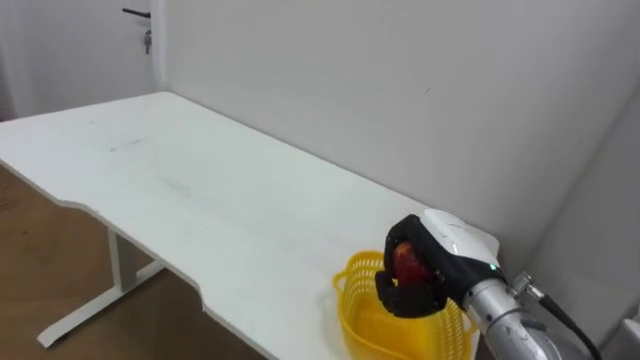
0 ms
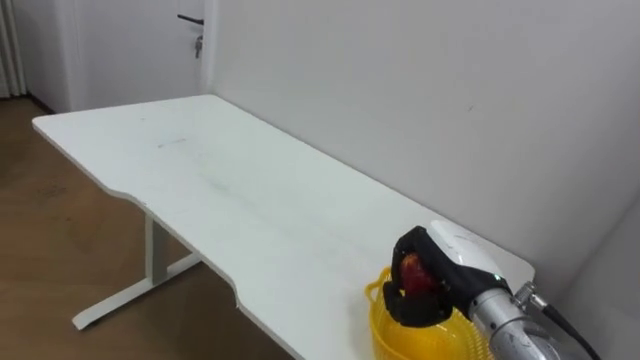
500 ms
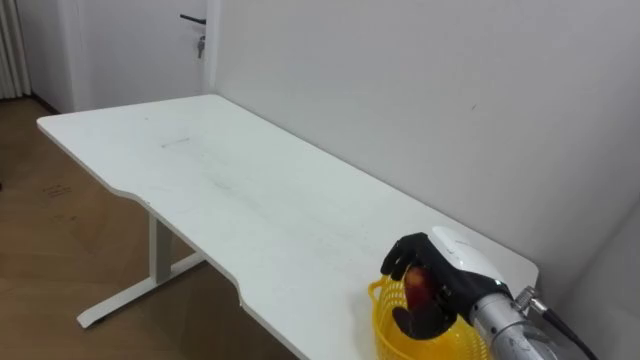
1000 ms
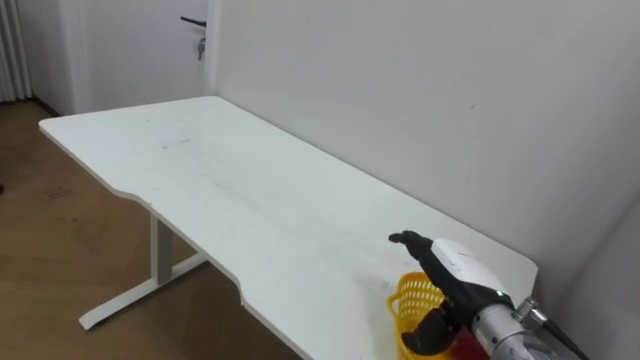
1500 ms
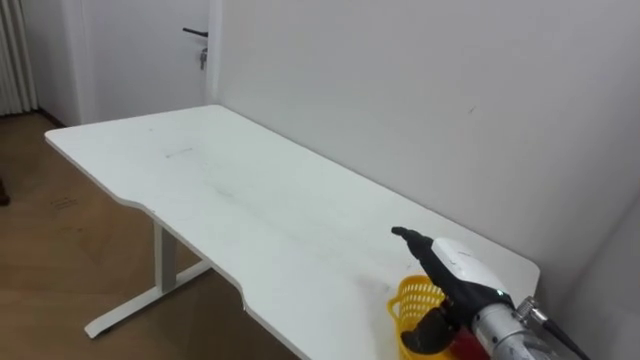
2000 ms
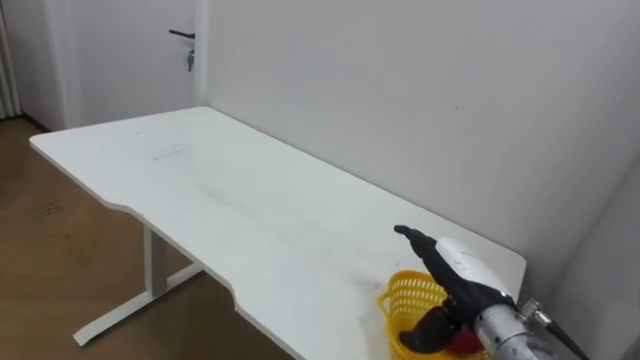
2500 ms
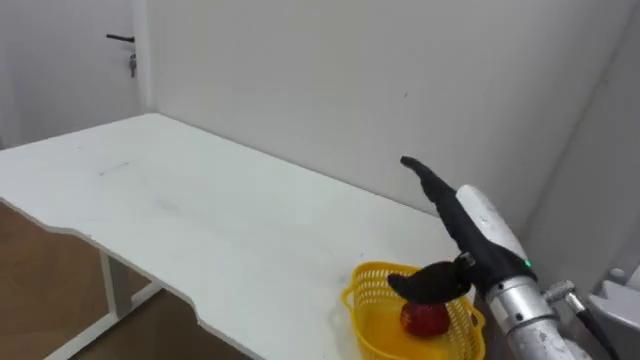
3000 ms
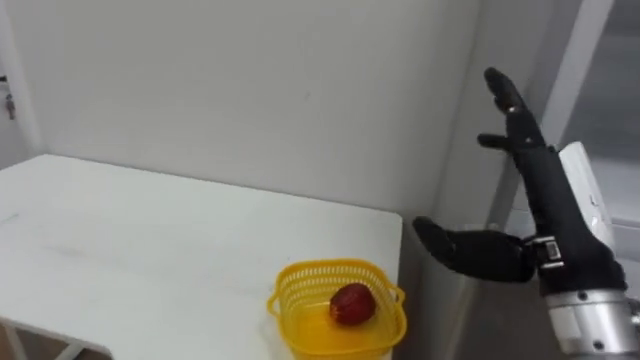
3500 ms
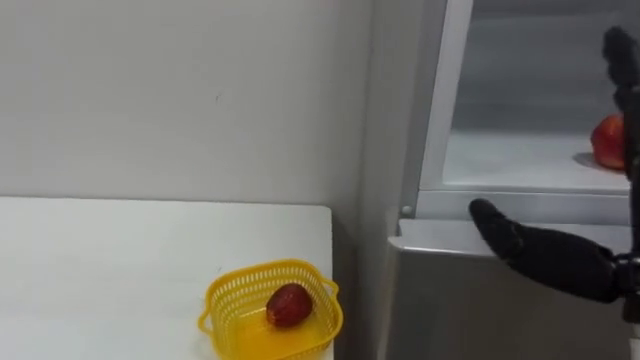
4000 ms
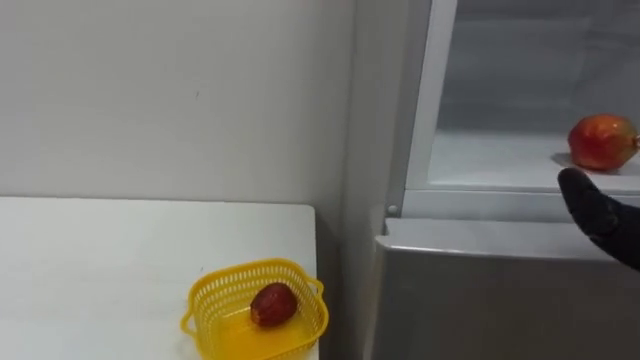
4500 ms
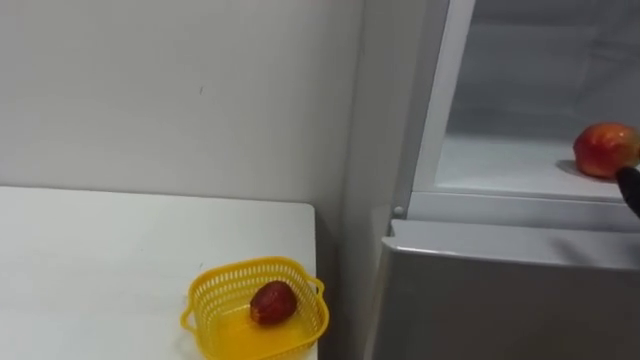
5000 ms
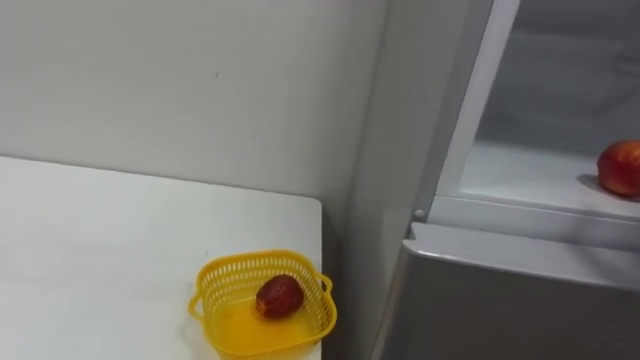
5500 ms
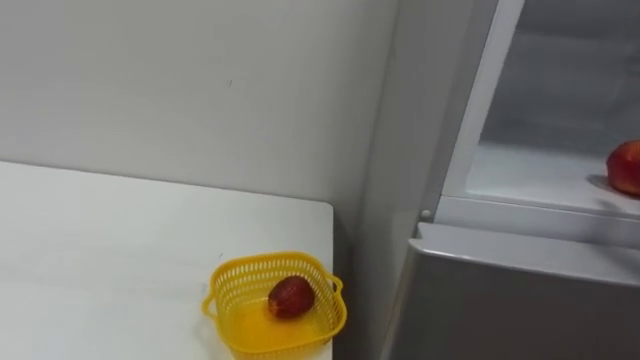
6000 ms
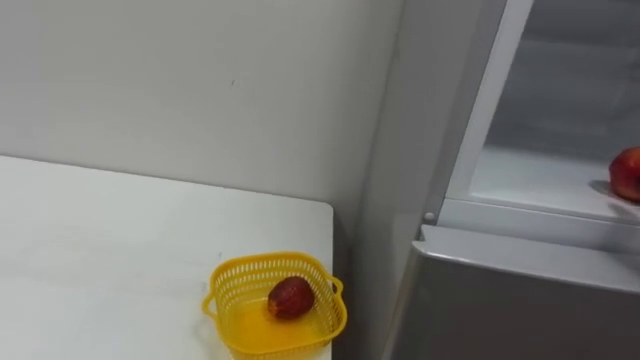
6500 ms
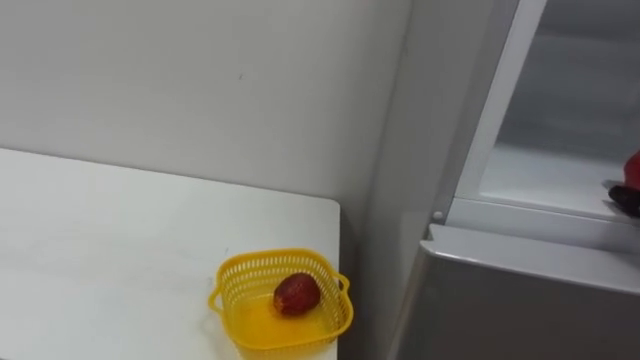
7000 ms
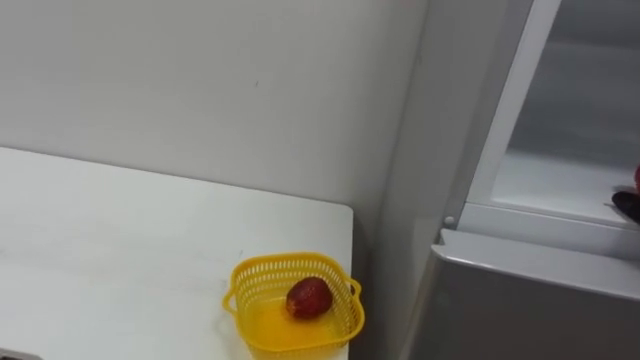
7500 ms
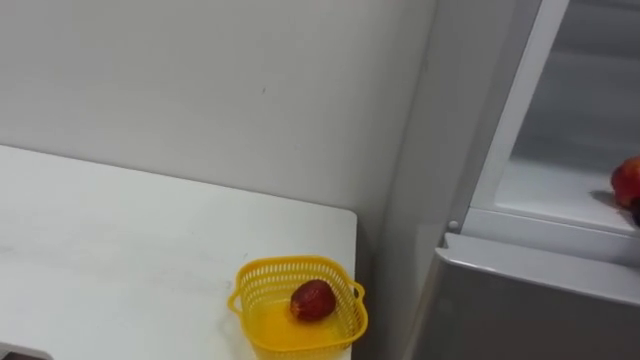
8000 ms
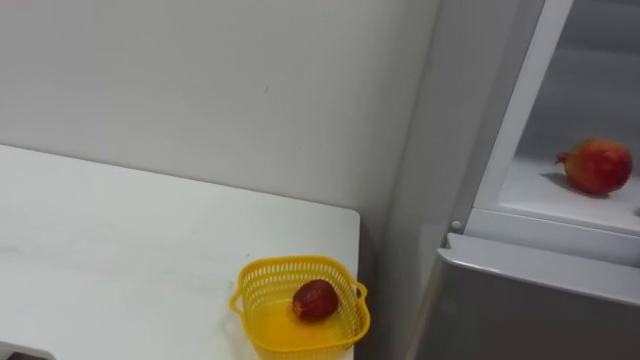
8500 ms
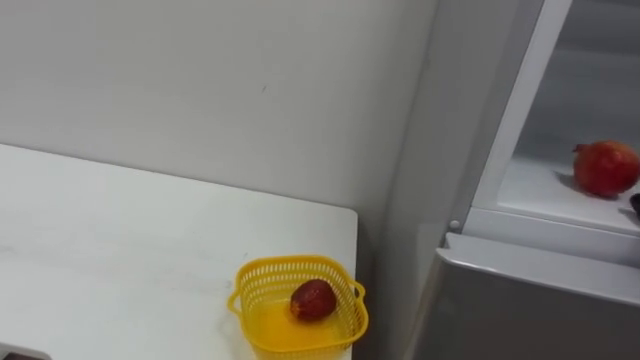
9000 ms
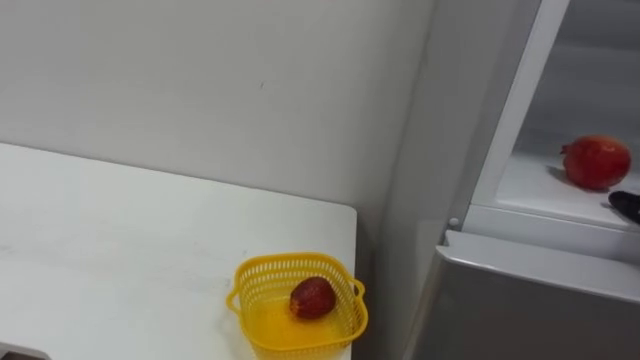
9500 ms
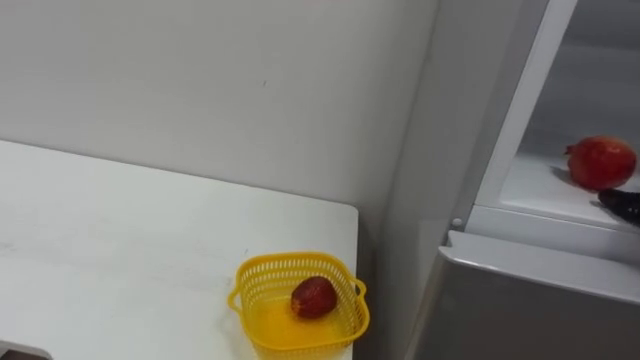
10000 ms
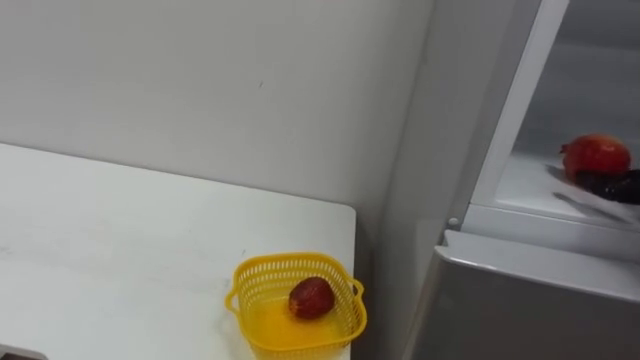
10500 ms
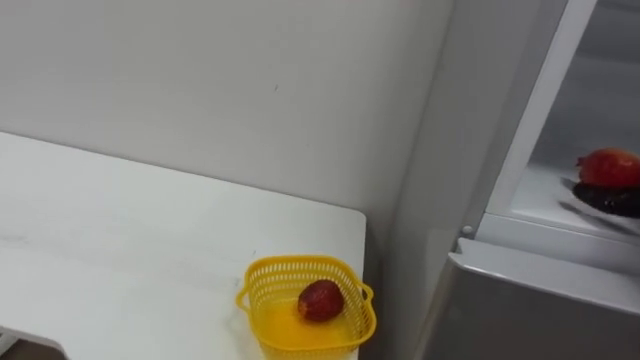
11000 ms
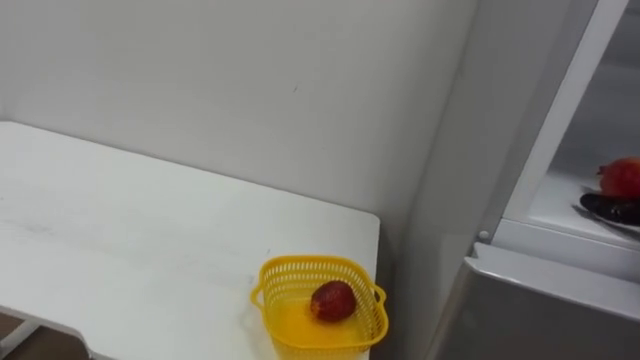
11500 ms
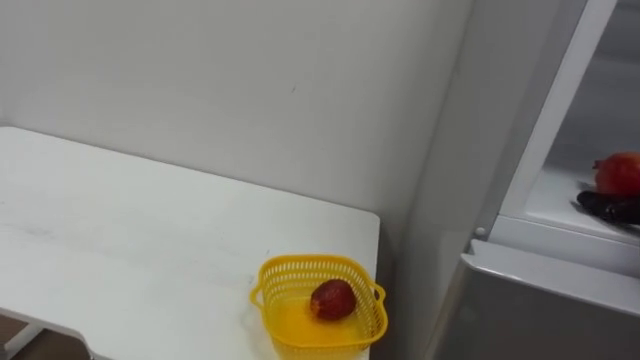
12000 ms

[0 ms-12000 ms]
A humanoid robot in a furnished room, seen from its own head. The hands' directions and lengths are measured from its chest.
Task of the whole recording: Open the refrigerator door, take out the apple and the pomegranate, place them in the fruit basket on the left, and close the refrigerator door.
0 ms to 2000 ms: The right hand opens.
2000 ms to 4000 ms: The right hand goes about 25 cm upward and backward.

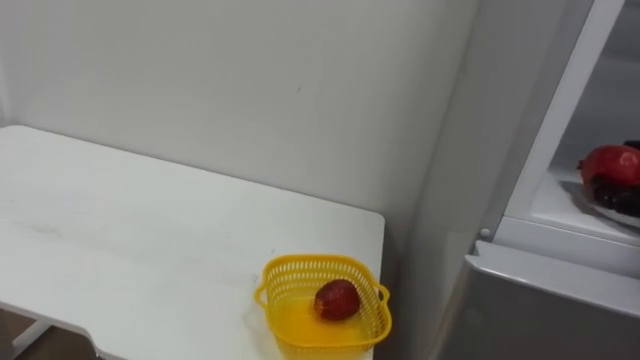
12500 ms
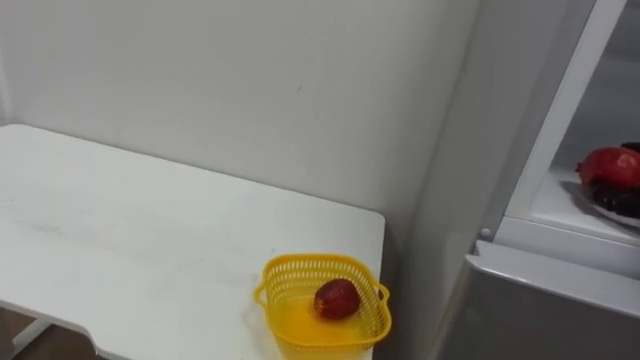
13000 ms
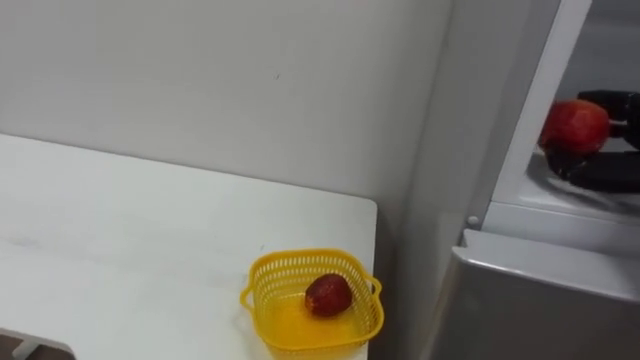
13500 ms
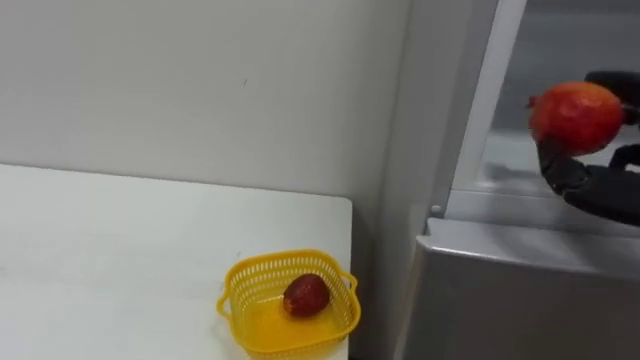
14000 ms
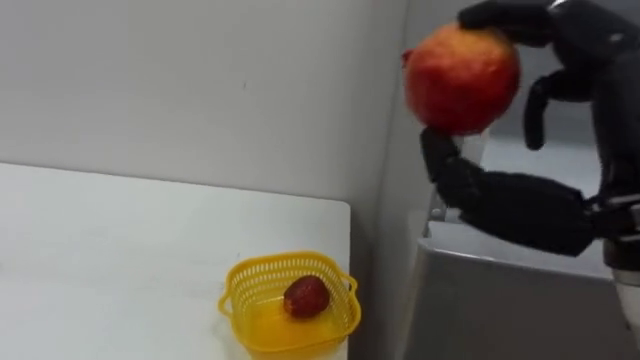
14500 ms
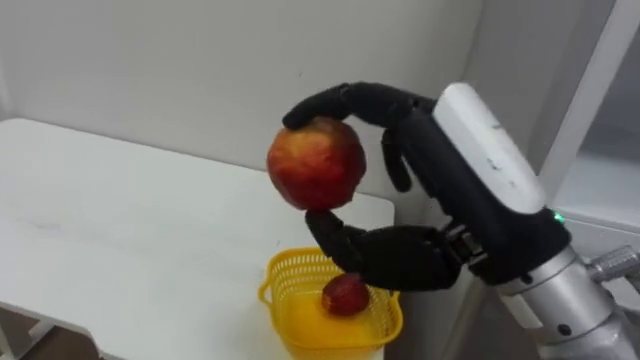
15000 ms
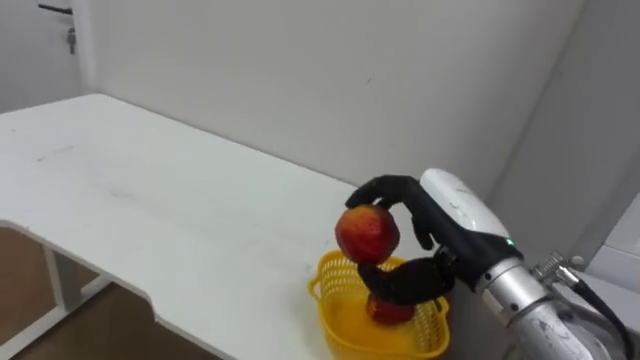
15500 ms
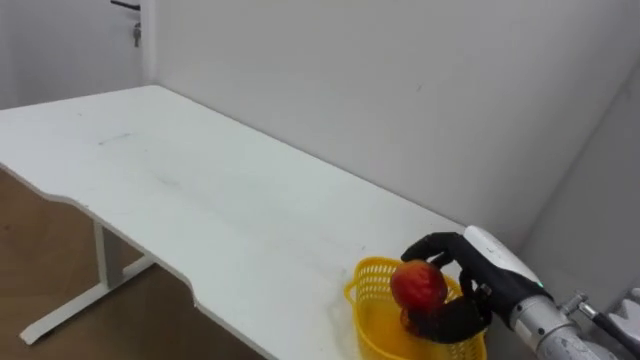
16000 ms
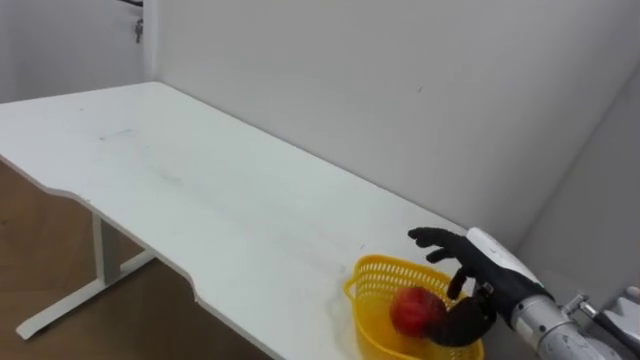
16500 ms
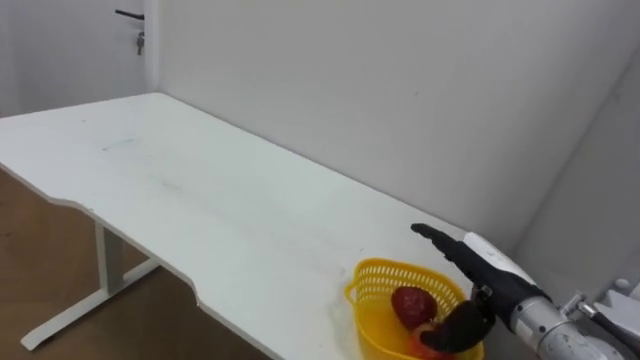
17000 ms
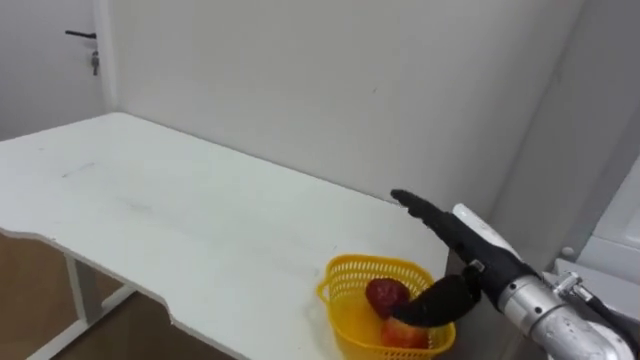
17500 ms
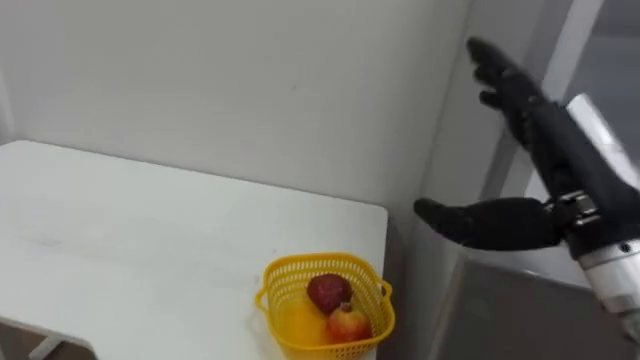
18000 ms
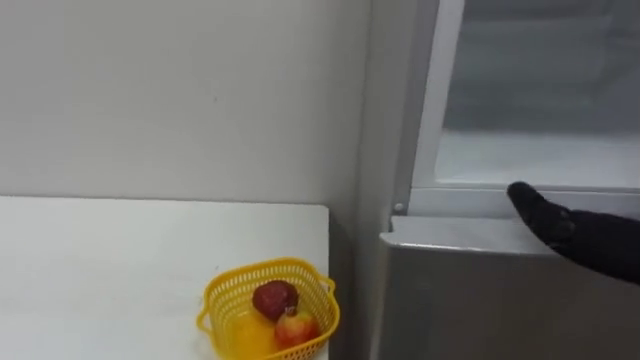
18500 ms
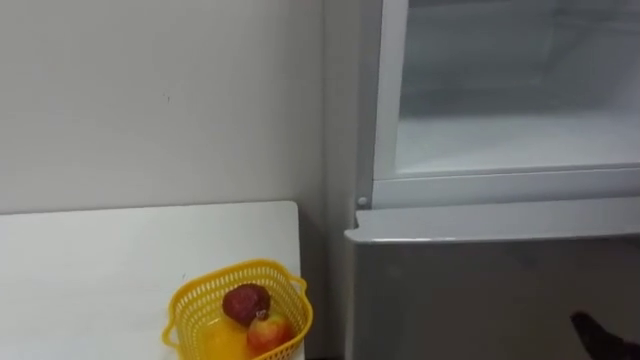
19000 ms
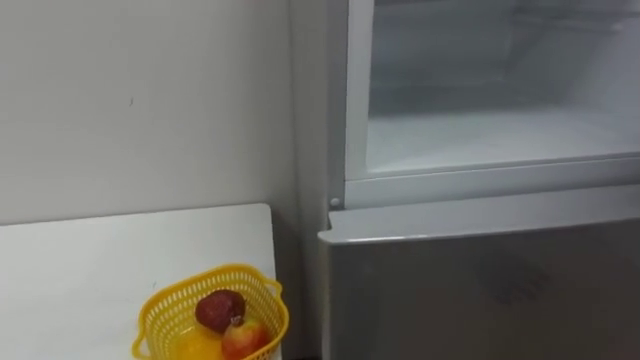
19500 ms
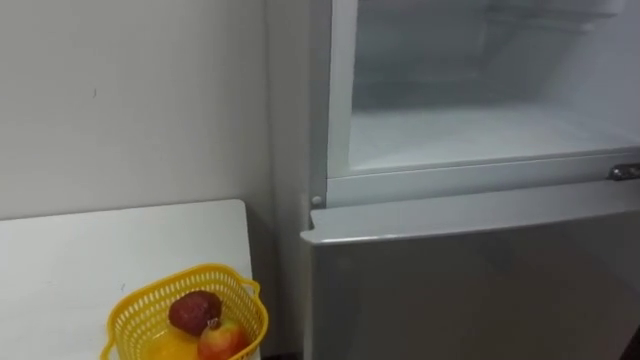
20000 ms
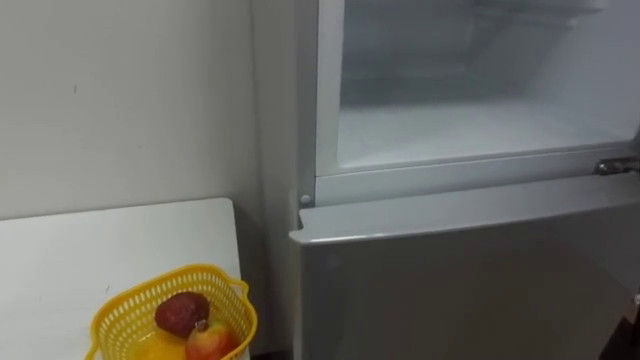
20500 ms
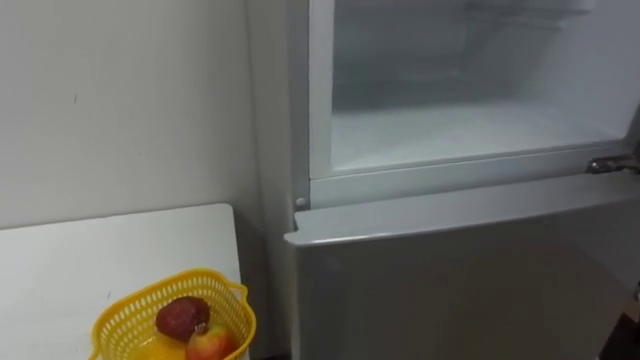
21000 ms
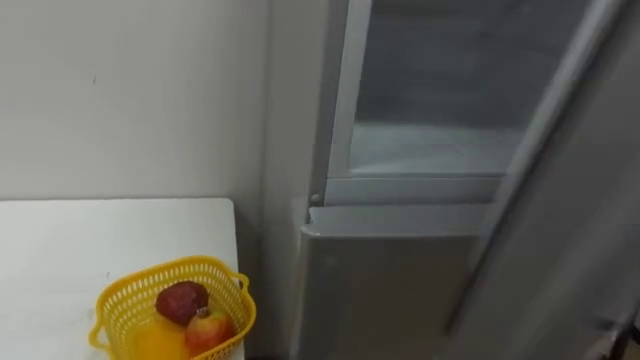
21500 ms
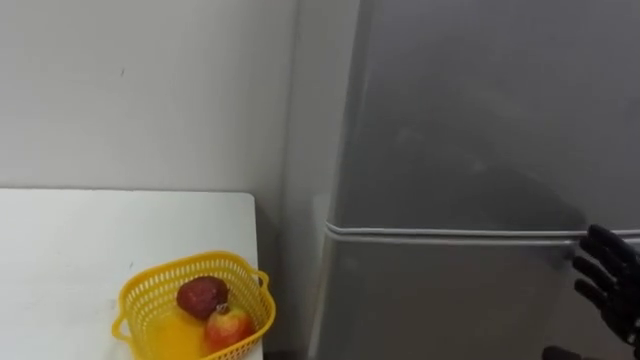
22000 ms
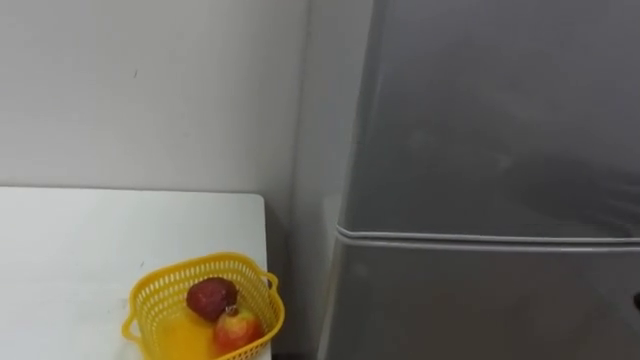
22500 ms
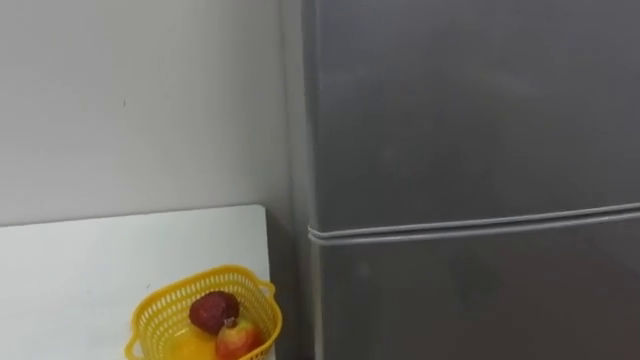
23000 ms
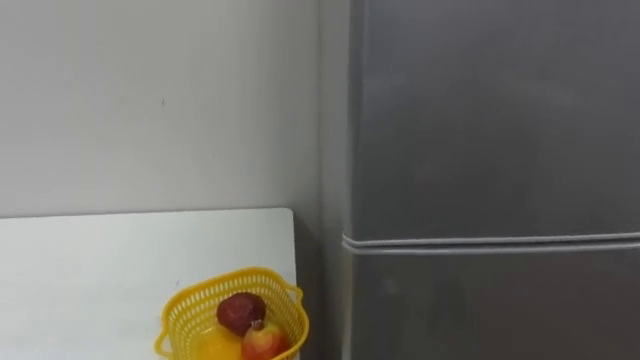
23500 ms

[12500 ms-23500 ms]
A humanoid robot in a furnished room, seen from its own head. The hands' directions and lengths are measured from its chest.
Task of the whole recording: Open the refrigerator door, take out the apple and the pomegranate, place them in the fruit basket on the left, and close the refrigerator door.
14500 ms to 16000 ms: The right hand is displaced downward and forward by roughly 25 cm.
16000 ms to 18000 ms: The right hand moves upward and backward, approximately 20 cm, and opens up.
